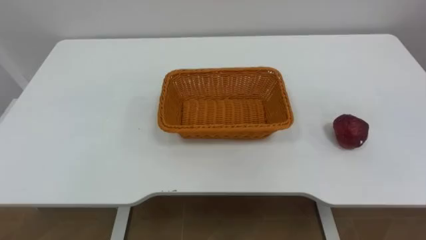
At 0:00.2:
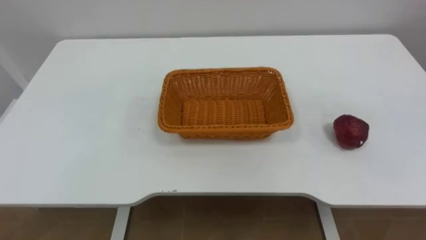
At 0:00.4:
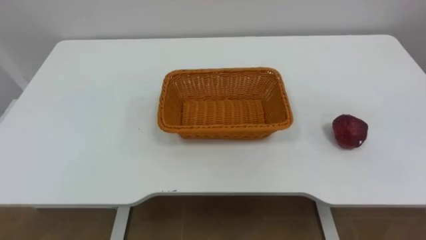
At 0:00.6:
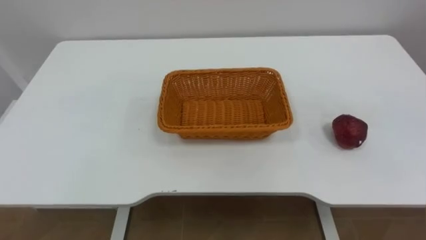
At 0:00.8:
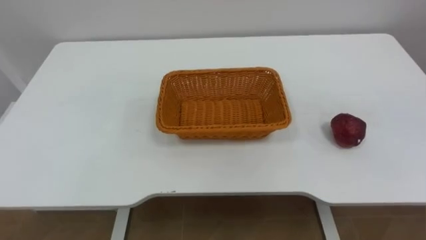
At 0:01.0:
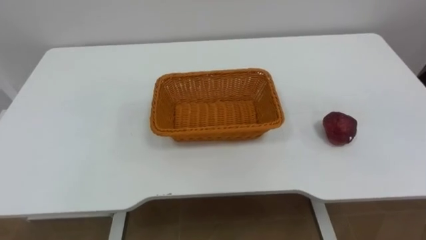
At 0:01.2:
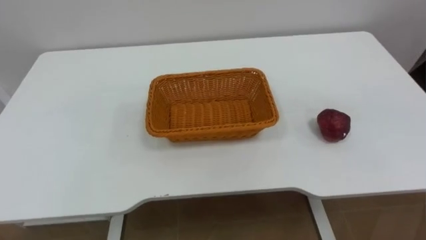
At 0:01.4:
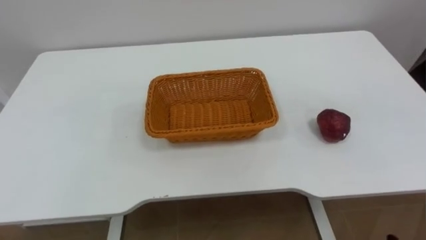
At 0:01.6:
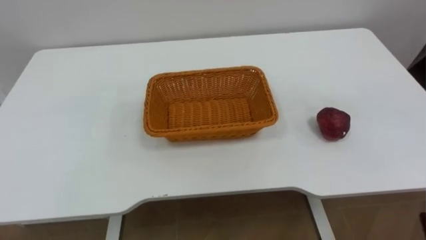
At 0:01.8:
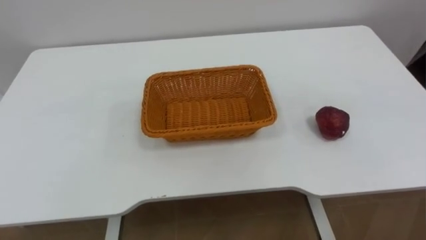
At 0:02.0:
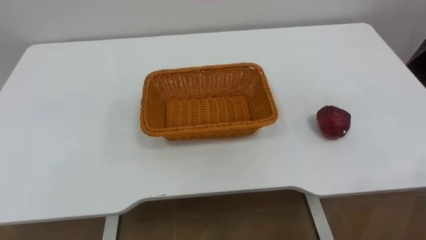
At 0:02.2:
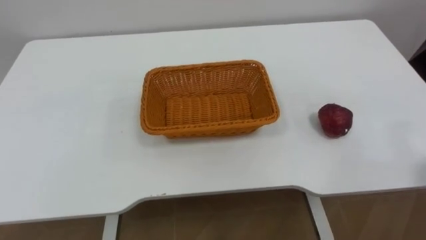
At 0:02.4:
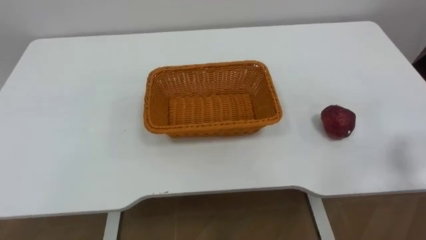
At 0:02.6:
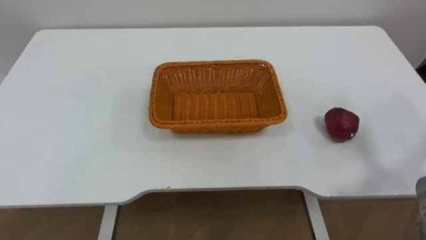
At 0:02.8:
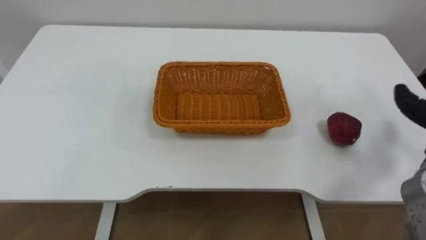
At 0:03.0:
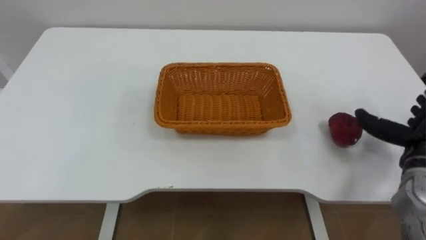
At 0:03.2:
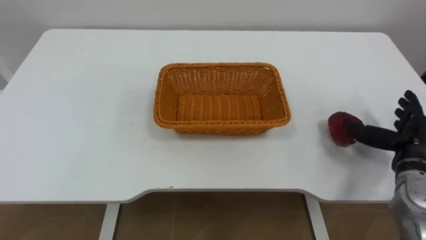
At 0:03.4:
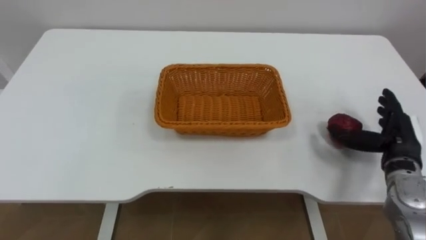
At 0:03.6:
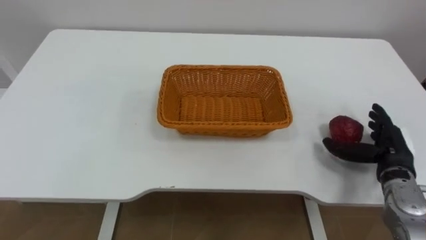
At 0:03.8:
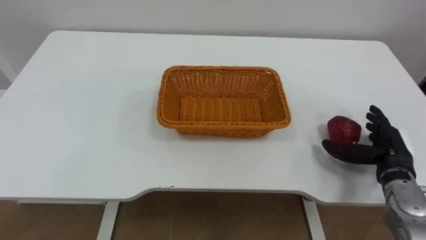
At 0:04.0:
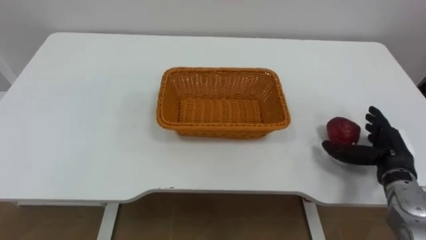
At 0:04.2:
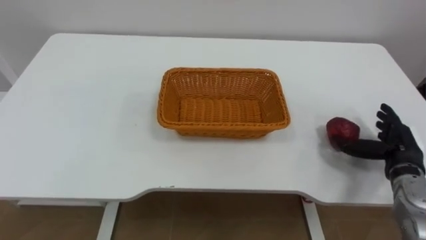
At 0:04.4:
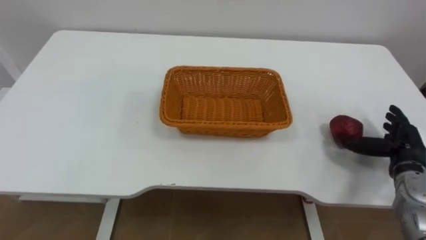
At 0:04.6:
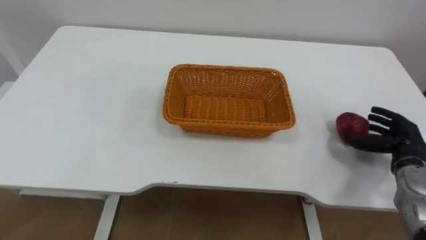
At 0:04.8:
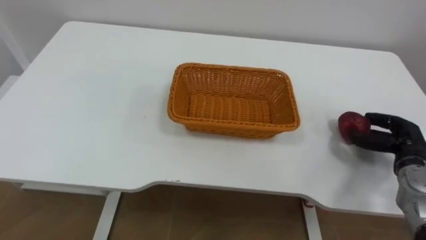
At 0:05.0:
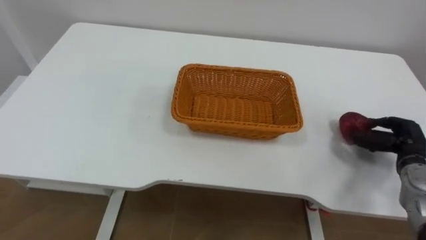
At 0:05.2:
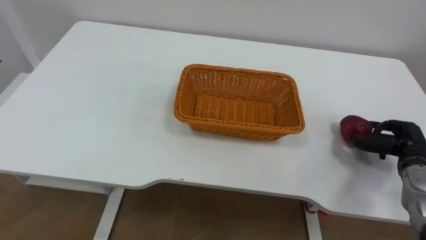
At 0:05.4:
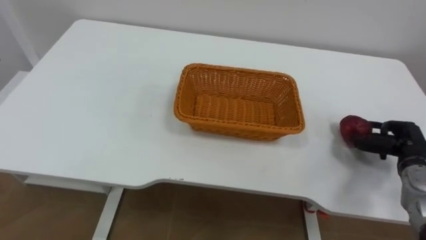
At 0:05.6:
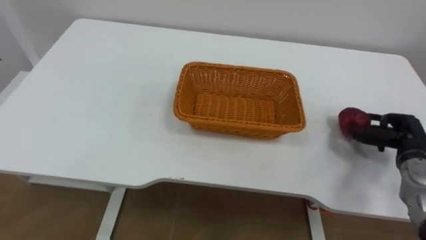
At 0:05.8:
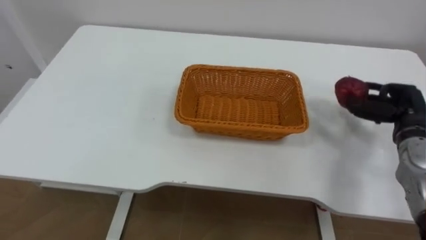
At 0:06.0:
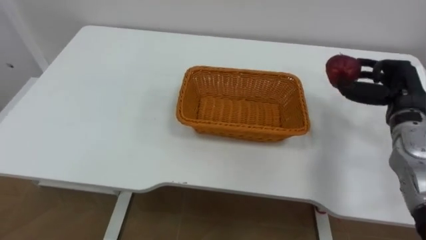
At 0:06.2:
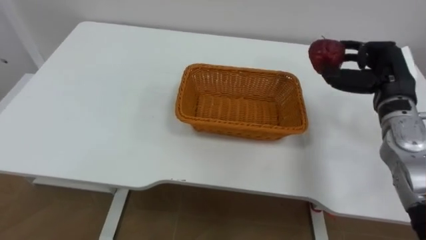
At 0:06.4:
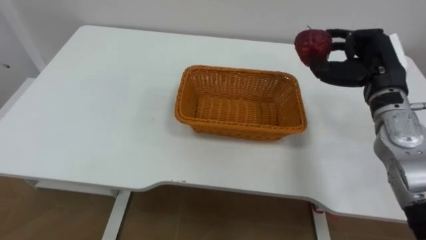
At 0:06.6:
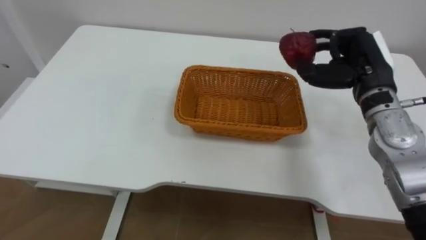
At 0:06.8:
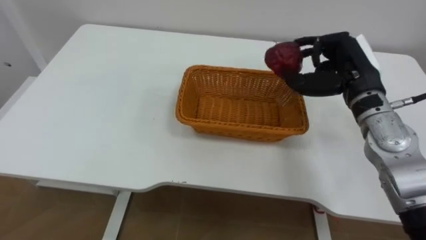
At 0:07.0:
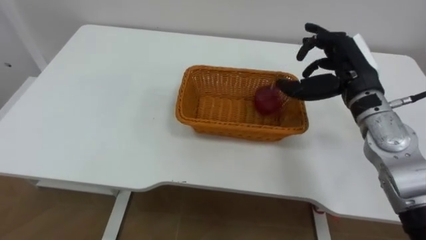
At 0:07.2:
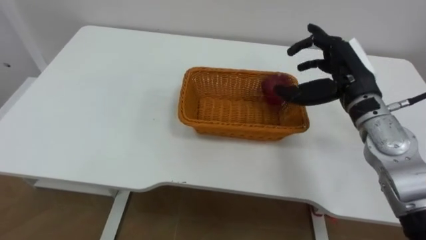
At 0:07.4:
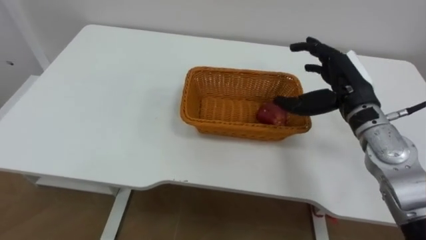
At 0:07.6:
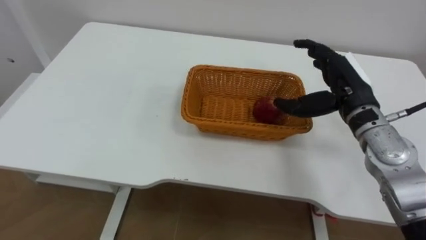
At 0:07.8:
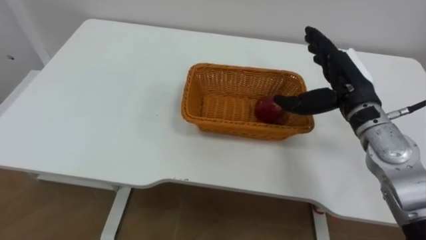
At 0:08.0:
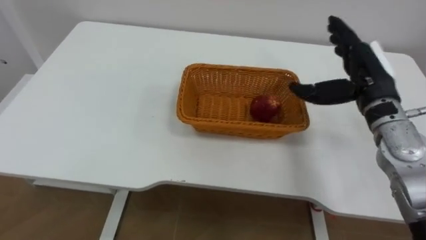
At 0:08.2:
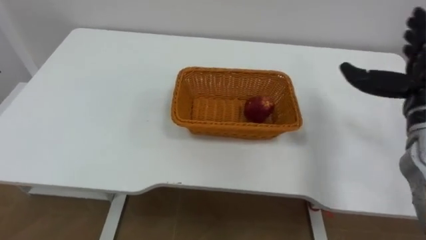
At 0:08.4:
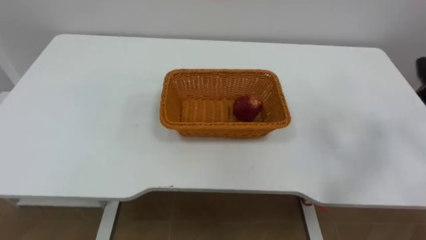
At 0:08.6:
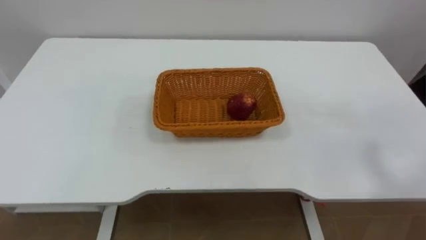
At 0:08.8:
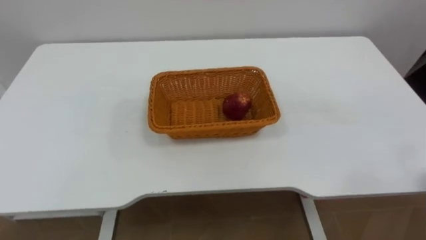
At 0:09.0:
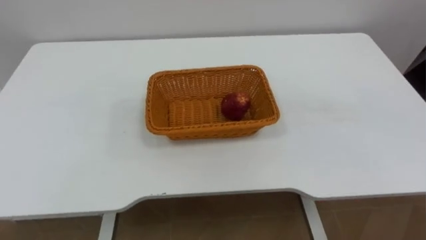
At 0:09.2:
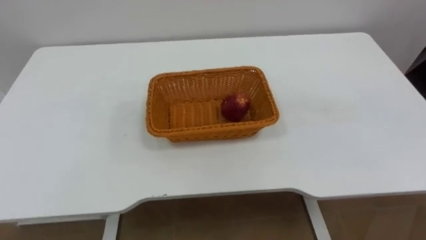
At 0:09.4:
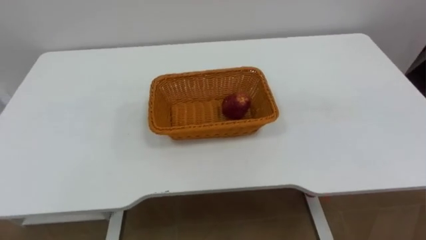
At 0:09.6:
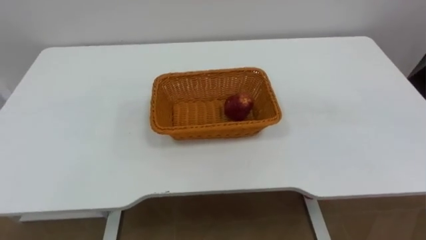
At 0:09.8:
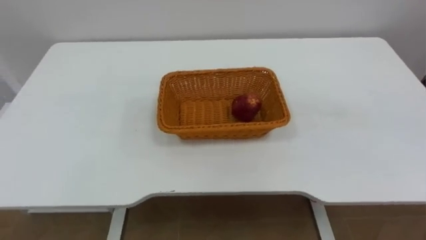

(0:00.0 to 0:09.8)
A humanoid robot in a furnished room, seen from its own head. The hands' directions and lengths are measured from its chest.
Task of the whole recording: Pick the apple and place it in the box.
0:04.2 - 0:05.6: The right hand closes.
0:05.6 - 0:07.0: The right hand shifts about 20 cm to the left and upward.

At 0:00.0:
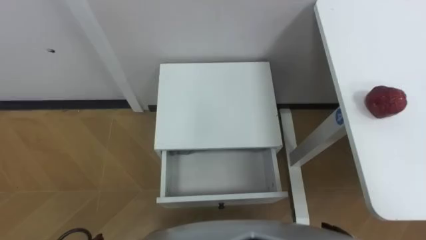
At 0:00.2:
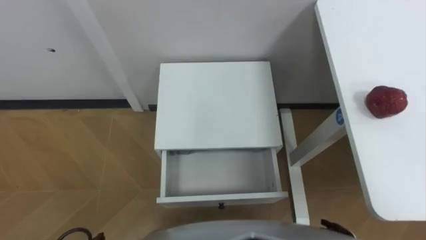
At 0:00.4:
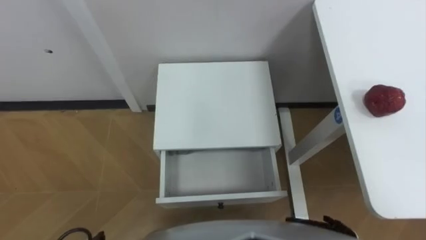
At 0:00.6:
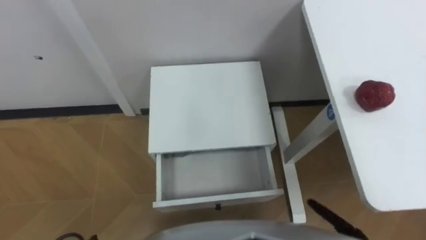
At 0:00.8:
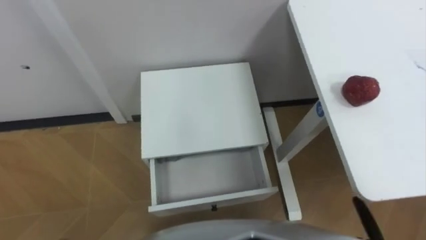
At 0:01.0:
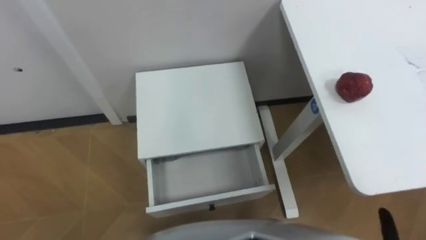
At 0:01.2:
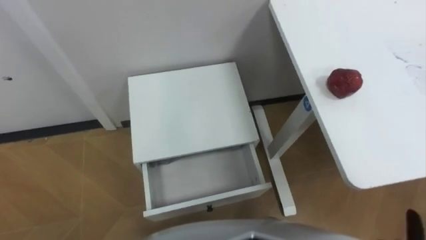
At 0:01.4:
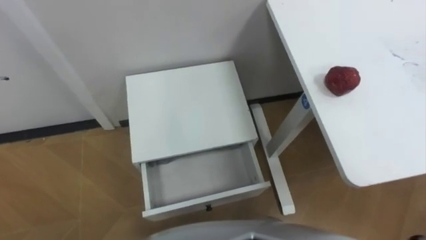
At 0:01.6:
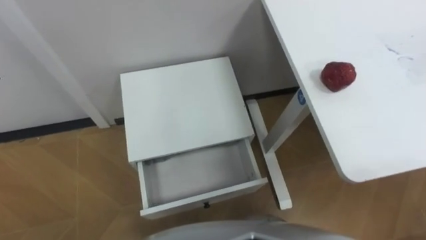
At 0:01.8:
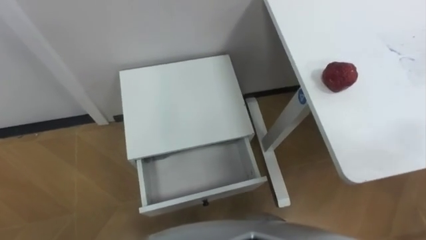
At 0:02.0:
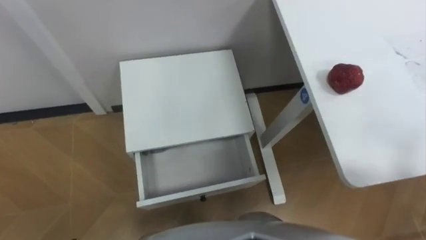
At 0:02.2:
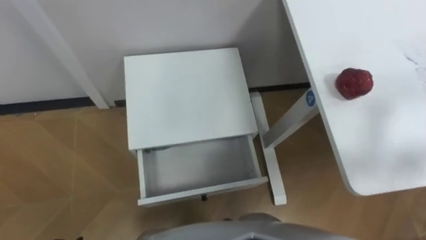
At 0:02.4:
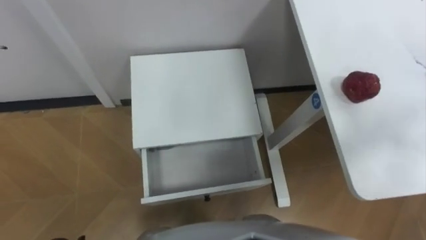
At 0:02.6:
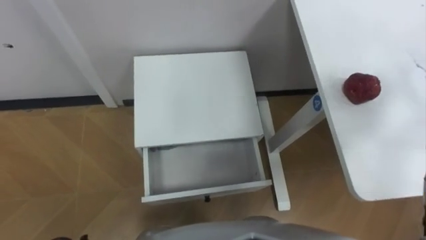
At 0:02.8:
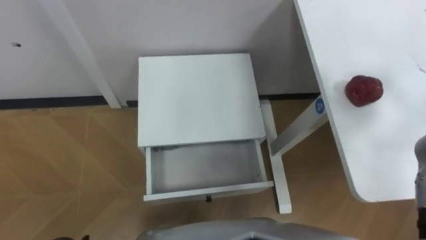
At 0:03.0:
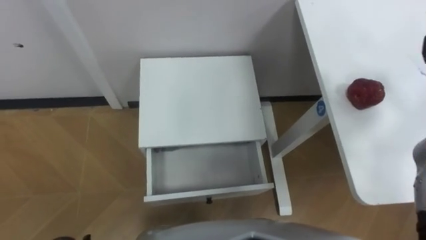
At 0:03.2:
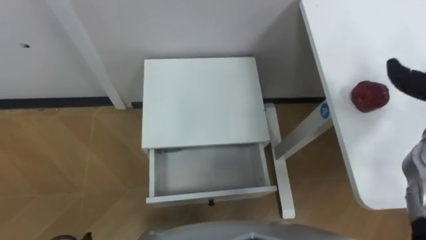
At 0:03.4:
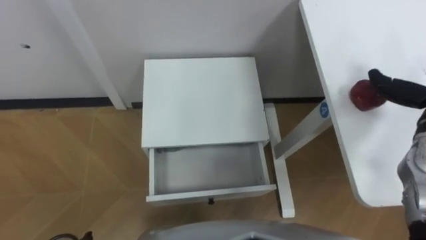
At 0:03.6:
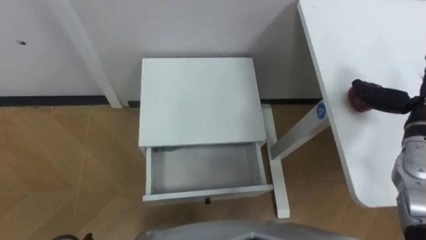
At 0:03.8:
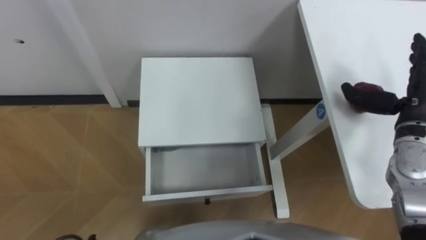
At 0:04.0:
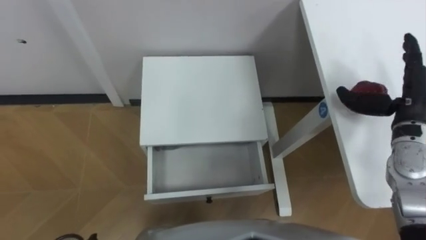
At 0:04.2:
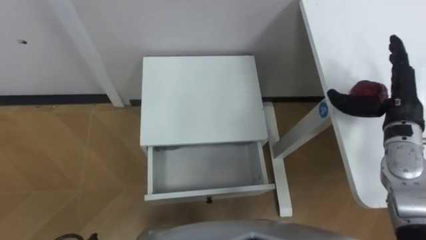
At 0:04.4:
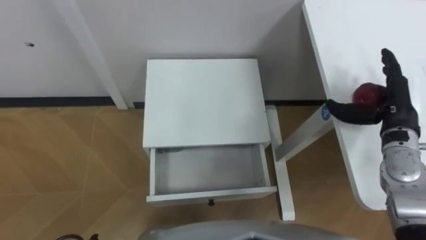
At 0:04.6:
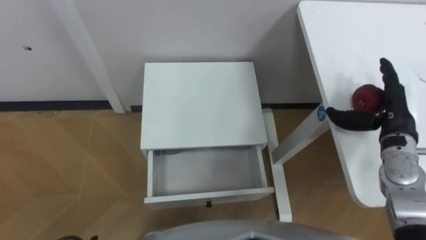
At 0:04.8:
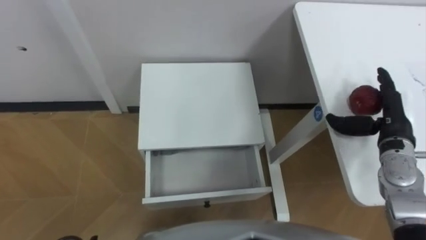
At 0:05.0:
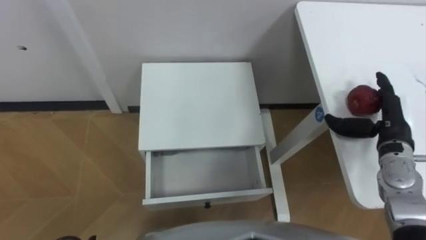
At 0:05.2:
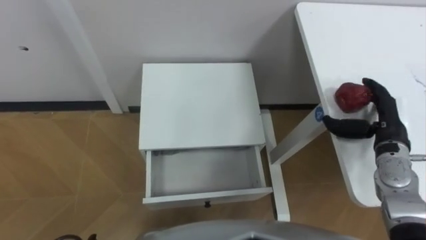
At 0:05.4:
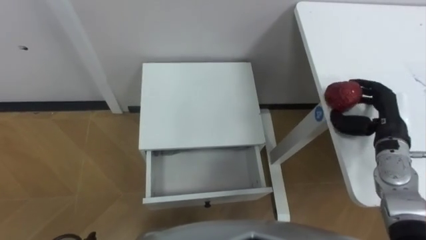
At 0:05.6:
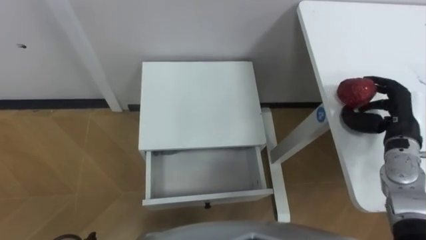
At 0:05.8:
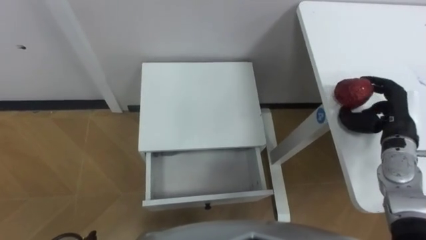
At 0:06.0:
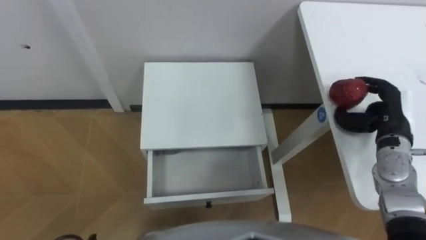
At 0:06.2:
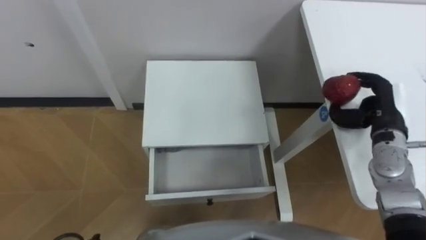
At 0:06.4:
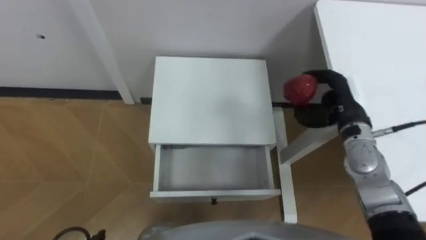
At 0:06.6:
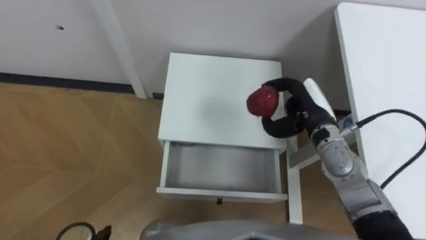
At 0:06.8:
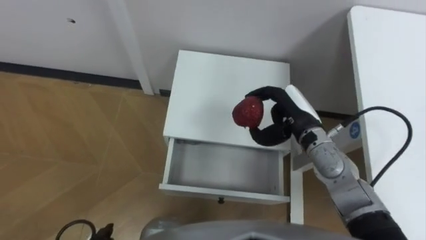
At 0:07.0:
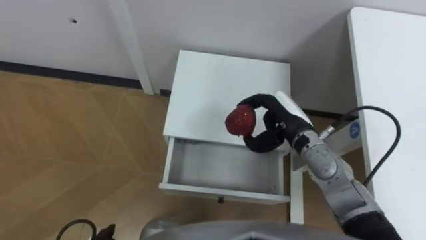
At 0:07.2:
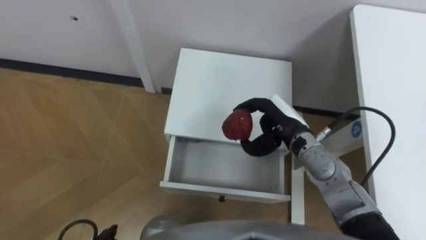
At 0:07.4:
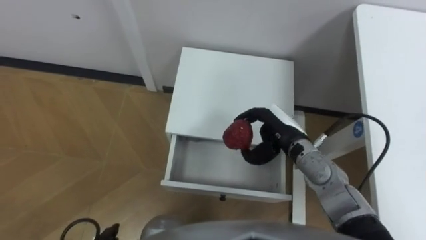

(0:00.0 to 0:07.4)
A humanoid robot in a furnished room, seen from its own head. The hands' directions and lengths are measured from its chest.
Task of the whole recording: Pick up the apple from the table, put it in the drawer, and close the drawer with leg.
0:04.4 - 0:06.0: The right hand closes its fingers.
0:06.0 - 0:07.4: The right hand is displaced to the left by approximately 20 cm.
